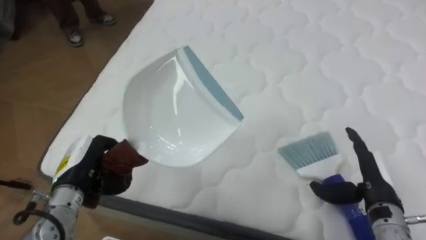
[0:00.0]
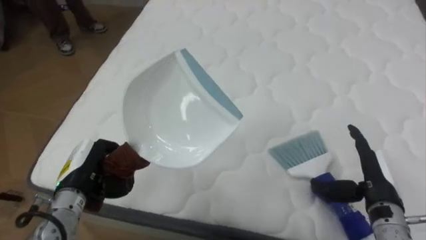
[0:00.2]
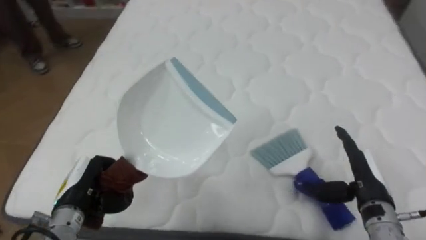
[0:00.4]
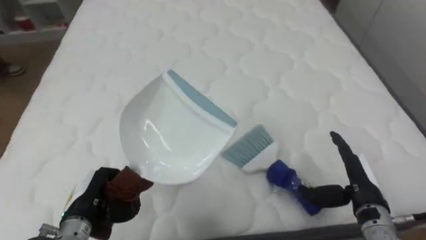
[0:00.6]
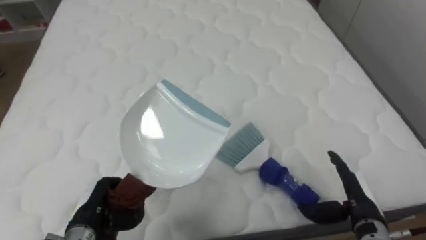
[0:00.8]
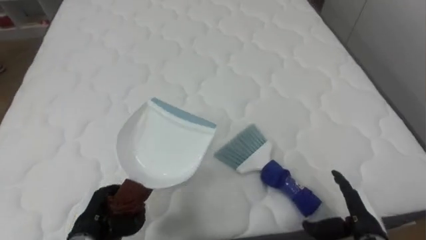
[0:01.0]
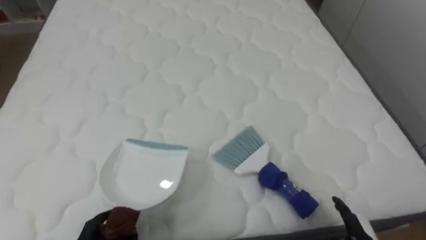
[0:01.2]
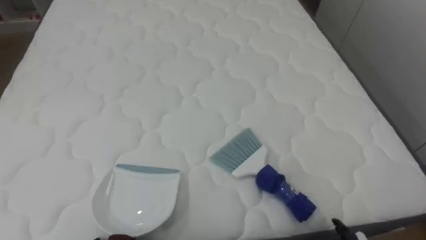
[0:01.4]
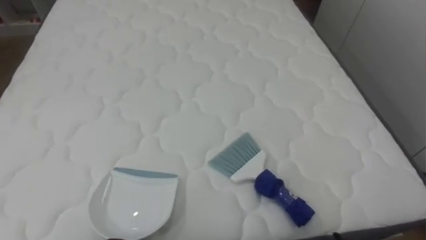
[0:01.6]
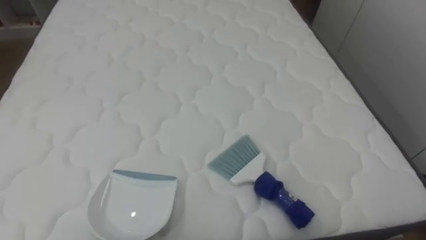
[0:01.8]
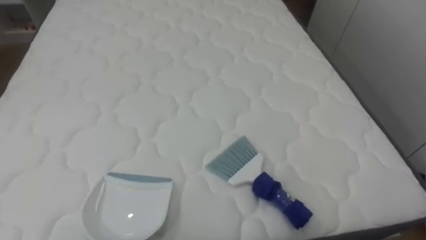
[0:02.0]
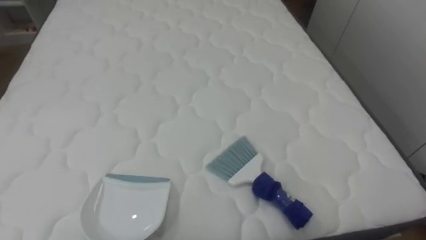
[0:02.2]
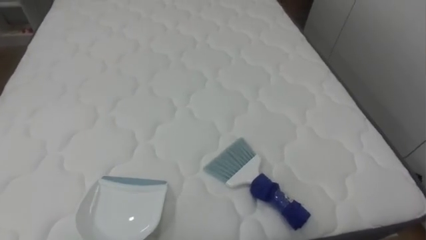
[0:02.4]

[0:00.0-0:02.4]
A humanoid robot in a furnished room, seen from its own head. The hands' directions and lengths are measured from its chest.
Task of the whole recording: Pick up the brush on your right and the dustpan on your left. Use the brush to sweep the crumpled paper on the bed into the dustpan, then turn left and empty it into the basket.
0:00.0 to 0:01.2: The robot faces roughly 25 degrees further to its right.

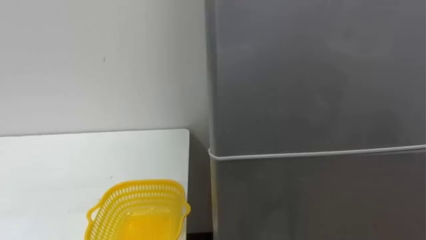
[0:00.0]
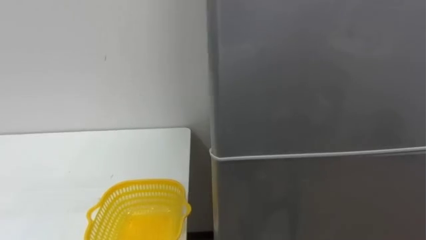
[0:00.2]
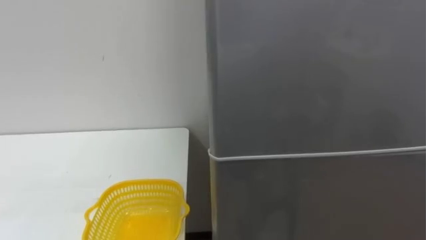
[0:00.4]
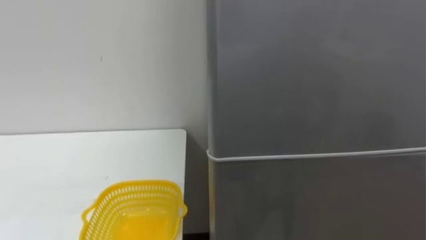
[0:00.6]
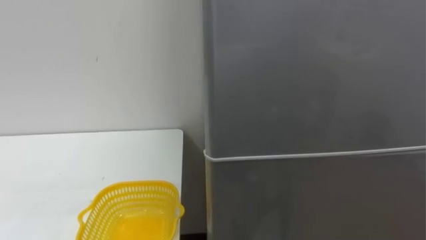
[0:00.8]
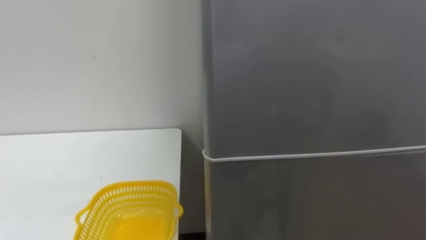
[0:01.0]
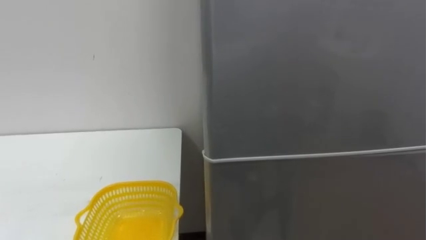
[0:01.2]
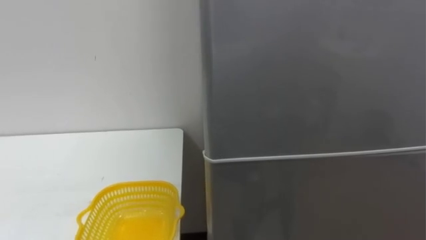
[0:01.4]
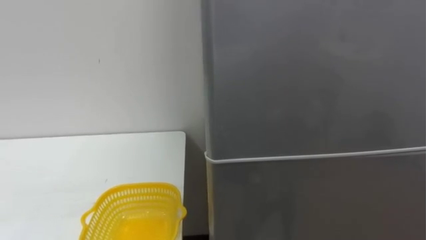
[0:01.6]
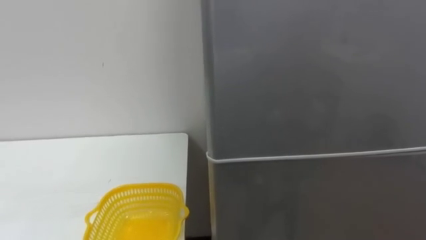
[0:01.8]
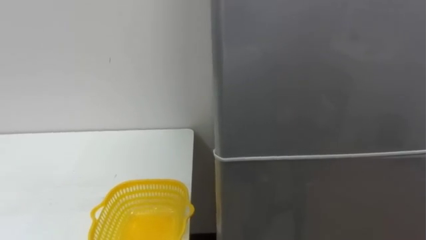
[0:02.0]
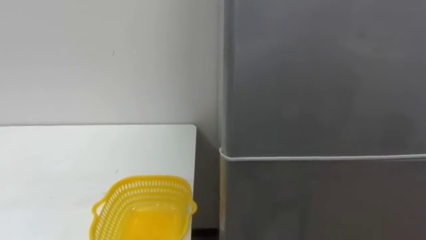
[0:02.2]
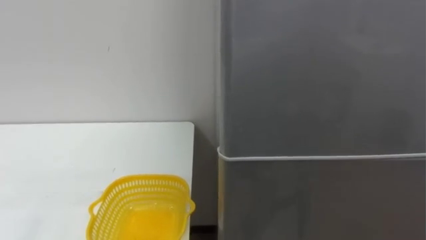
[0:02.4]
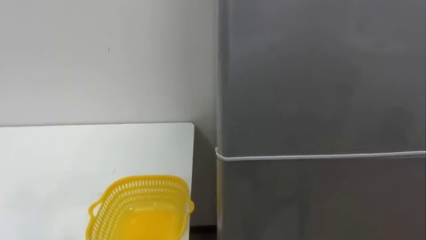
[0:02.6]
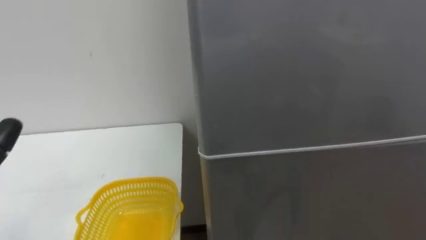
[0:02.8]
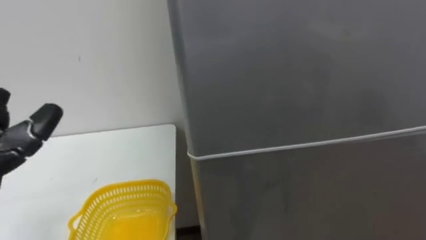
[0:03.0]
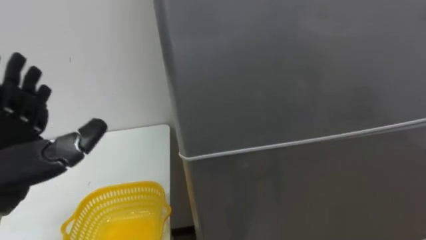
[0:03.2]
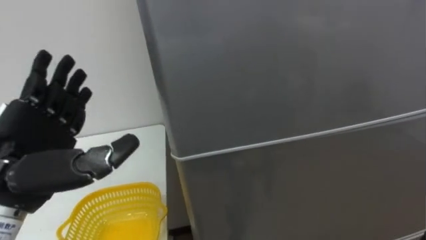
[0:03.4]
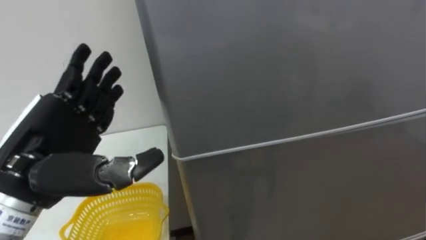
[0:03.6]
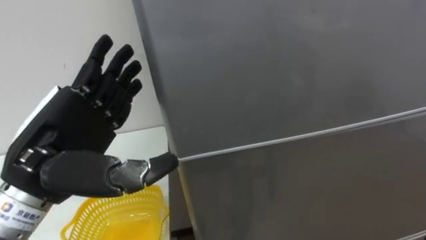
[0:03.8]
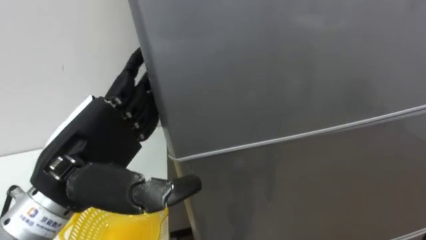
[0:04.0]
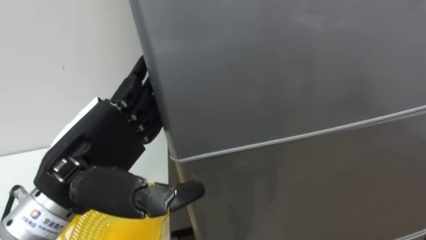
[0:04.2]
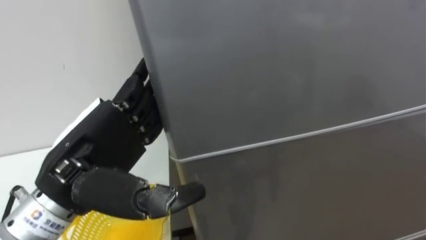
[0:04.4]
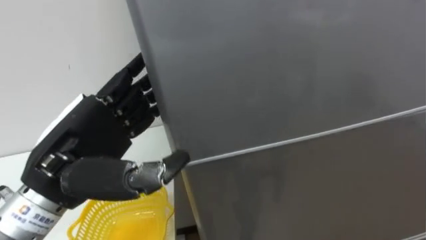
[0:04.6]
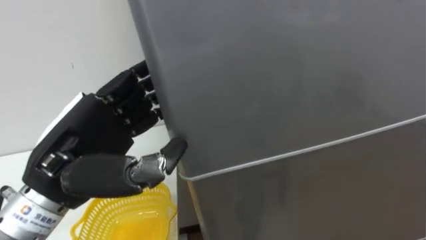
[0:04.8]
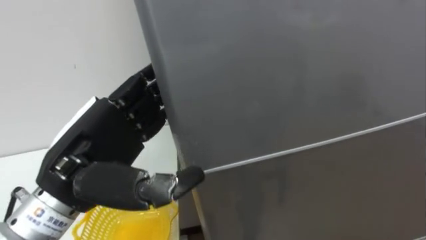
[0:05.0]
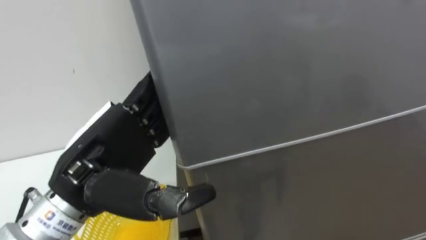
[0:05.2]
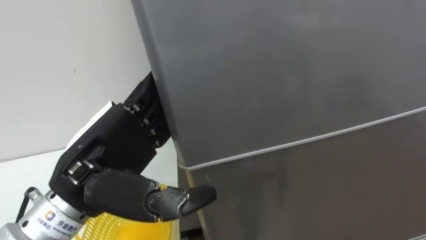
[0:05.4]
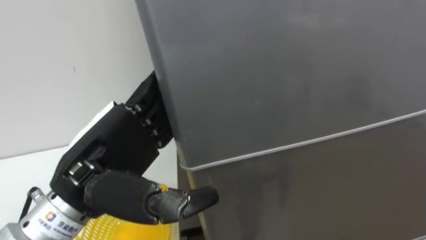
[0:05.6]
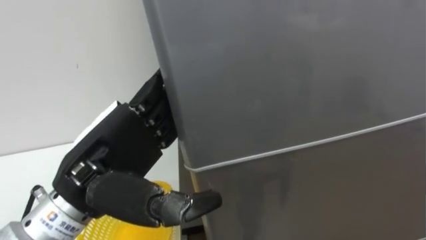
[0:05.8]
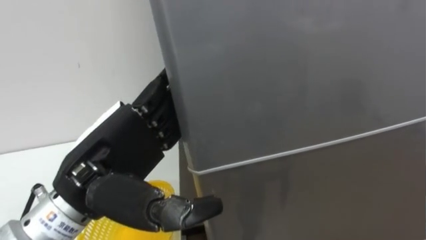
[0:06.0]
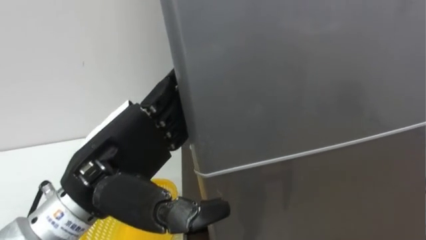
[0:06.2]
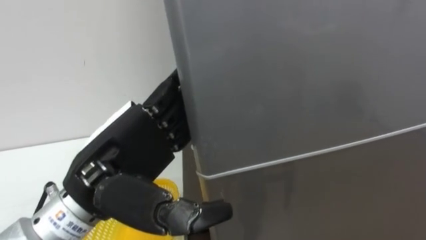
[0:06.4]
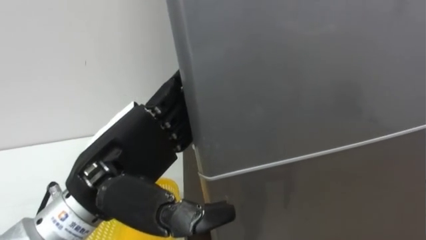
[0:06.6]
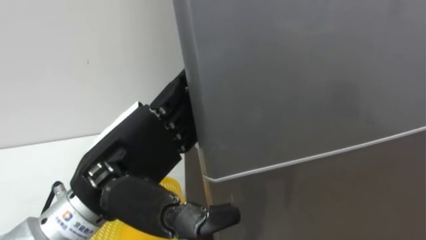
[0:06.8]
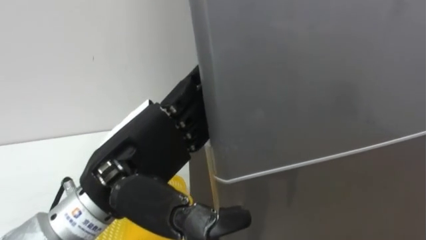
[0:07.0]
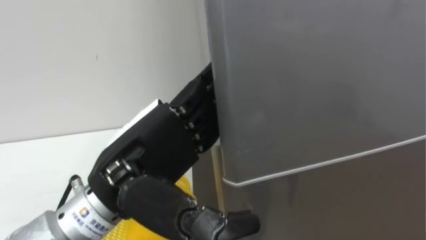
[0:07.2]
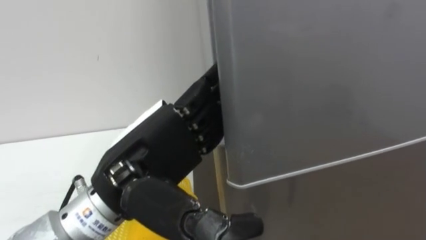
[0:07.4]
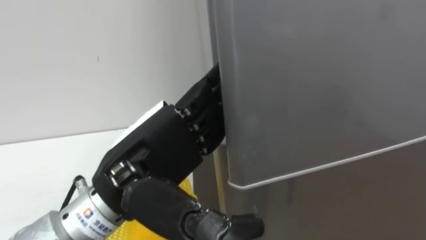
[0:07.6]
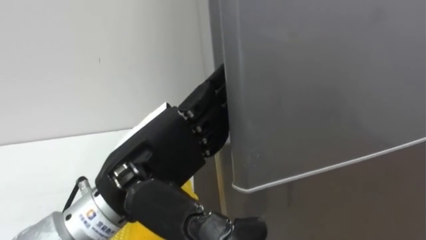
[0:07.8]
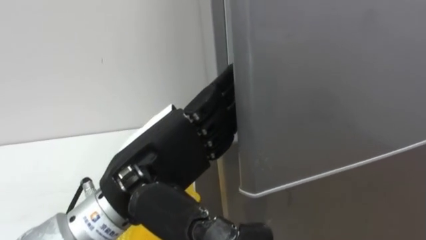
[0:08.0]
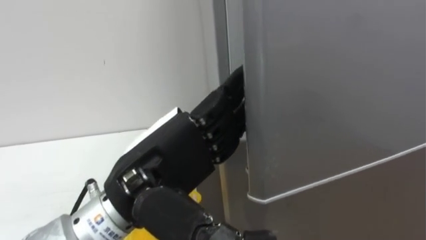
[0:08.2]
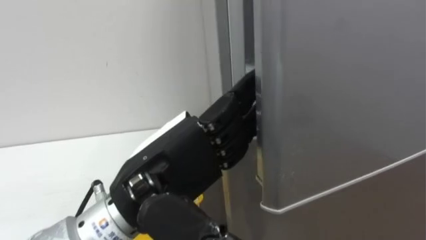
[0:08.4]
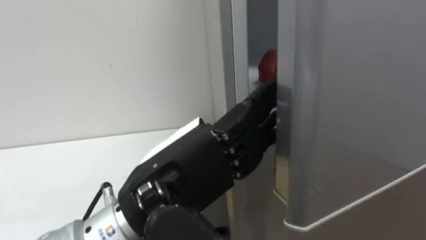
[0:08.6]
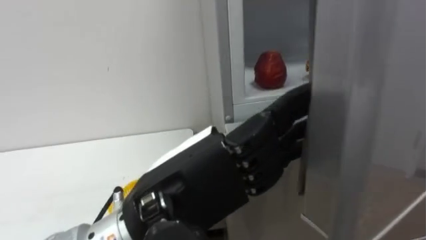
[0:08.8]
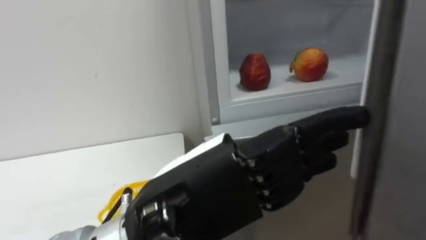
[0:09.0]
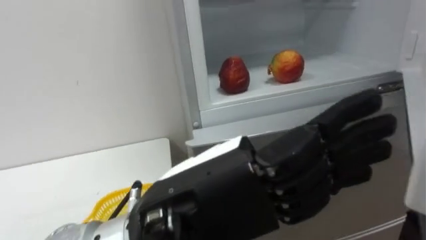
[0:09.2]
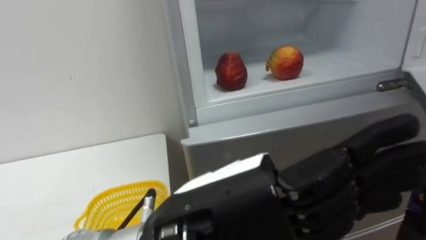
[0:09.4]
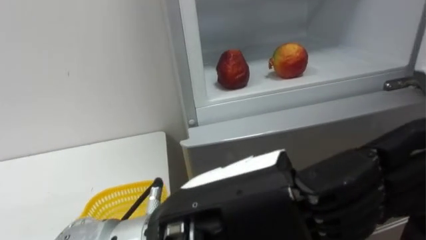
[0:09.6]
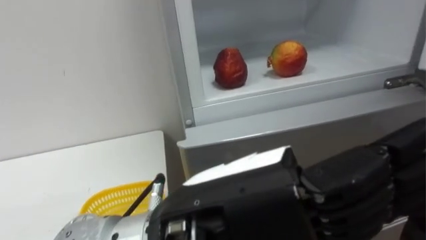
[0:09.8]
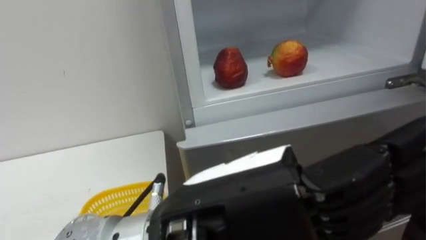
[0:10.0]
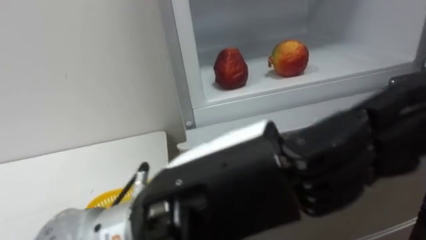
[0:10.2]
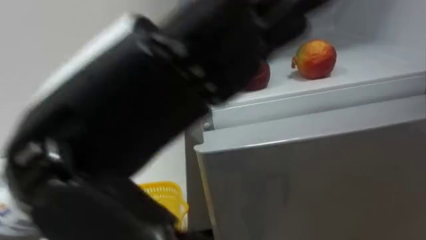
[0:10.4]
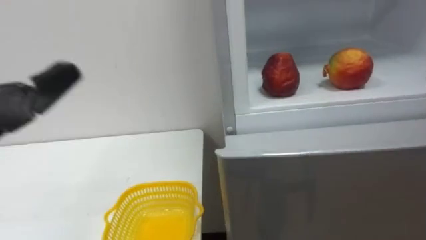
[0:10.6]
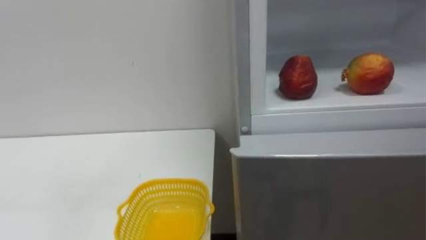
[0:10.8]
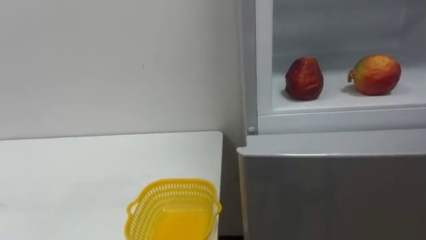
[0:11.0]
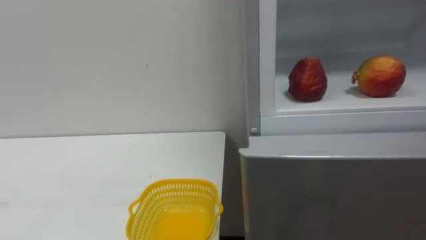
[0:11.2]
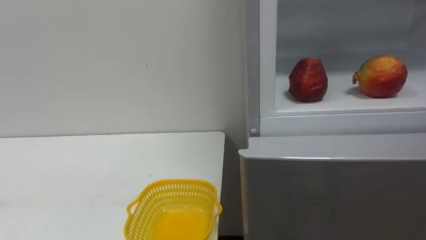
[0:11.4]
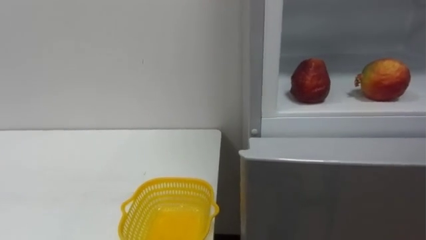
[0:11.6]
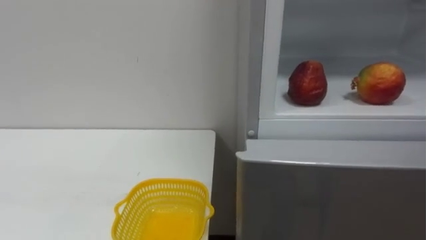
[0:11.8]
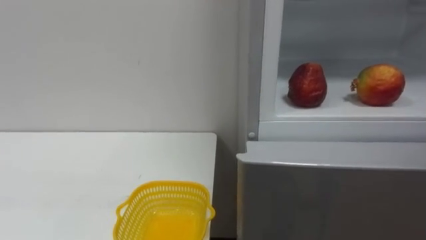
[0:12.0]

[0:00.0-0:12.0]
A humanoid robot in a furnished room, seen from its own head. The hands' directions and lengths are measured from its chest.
Task of the whole recording: Open the refrigerator door, take out the apple and the pomegranate, place them in the fruit basket on the left, and close the refrigerator door.
0:07.6 to 0:09.0: The left hand moves backward, approximately 5 cm.
0:09.0 to 0:10.4: The left hand heads upward and to the left, covering about 10 cm.

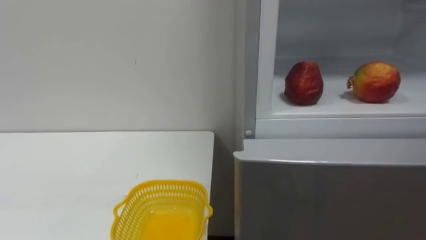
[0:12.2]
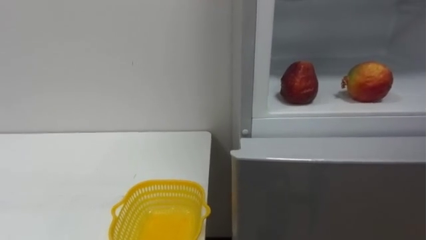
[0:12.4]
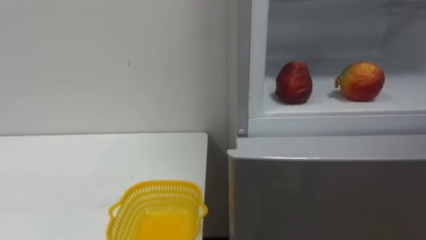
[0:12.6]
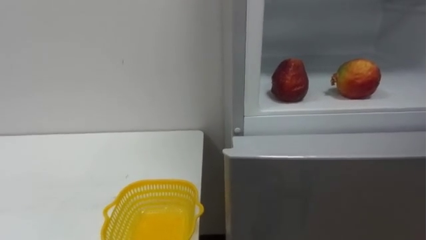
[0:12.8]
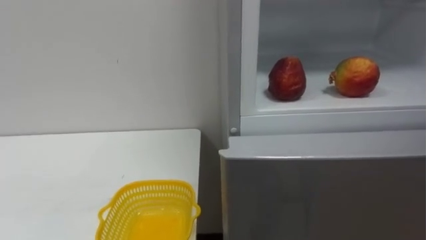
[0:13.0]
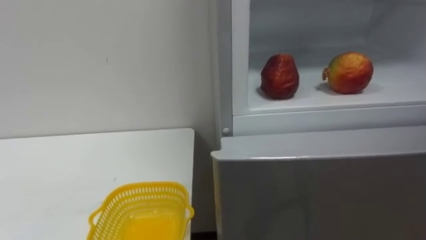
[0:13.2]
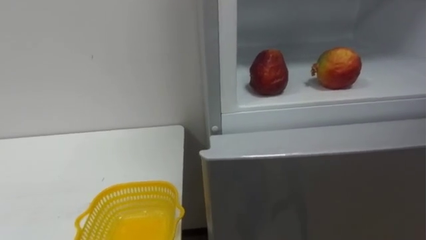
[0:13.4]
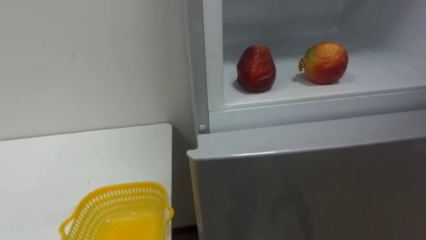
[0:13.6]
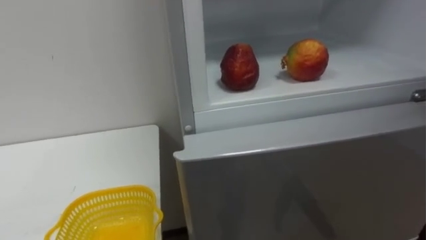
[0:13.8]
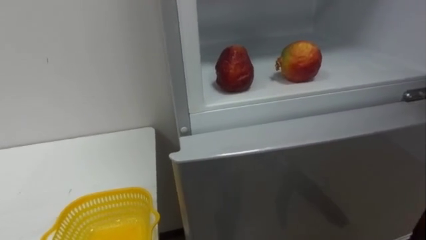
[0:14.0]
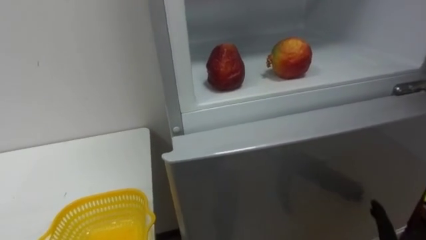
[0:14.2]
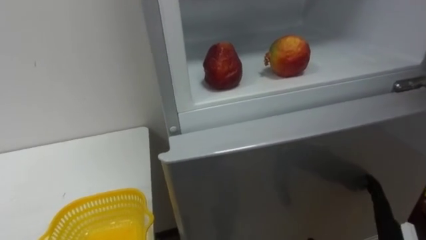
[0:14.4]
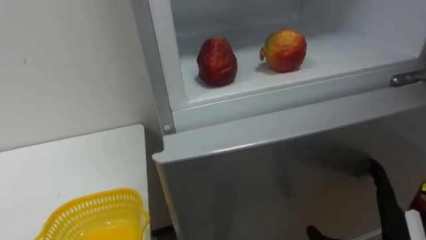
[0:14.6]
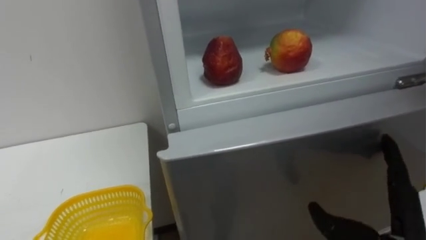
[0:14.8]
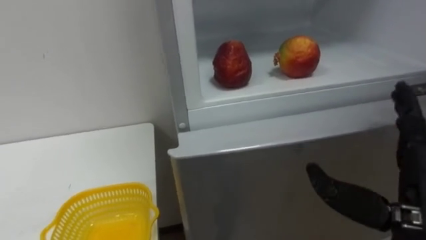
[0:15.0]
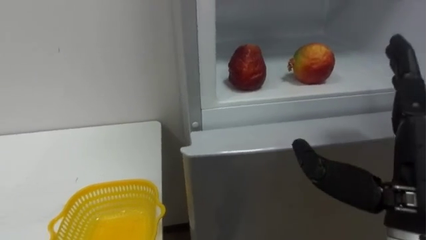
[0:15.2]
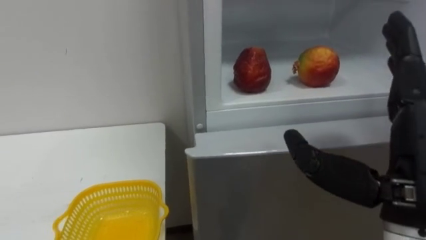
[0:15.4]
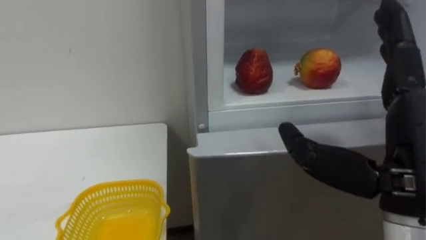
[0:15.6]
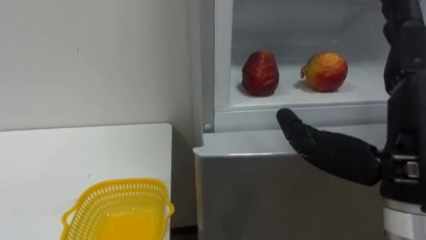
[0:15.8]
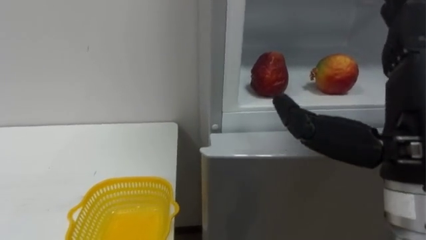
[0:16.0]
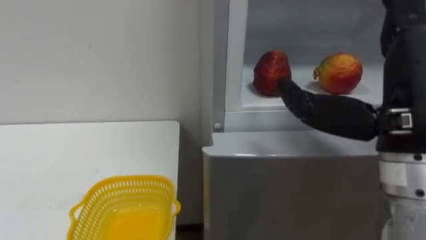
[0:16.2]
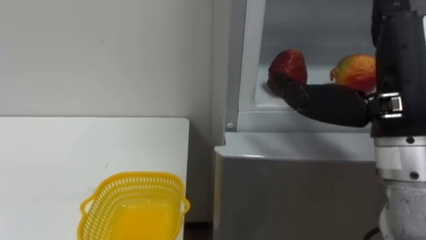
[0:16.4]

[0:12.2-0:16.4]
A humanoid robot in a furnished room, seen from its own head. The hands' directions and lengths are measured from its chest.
Task of the whole recording: Open the refrigerator door, take out the apple and the pomegranate, place them in the fruit basket on the left, and close the refrigerator door.
0:15.0 to 0:16.4: The right hand moves upward, about 15 cm.